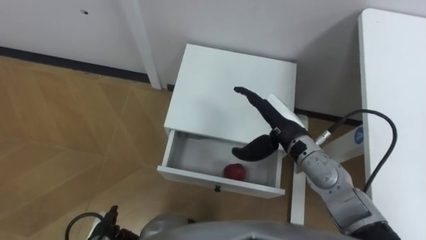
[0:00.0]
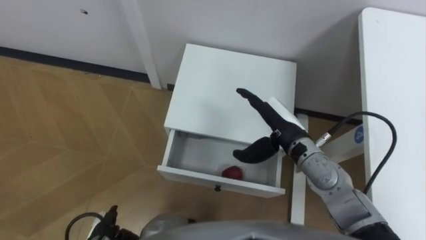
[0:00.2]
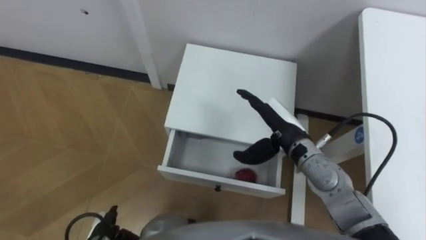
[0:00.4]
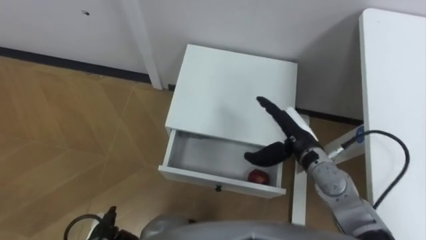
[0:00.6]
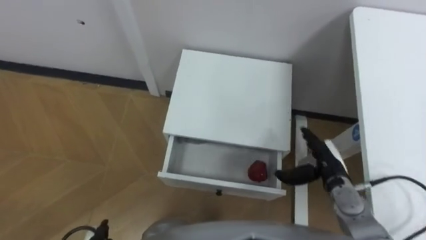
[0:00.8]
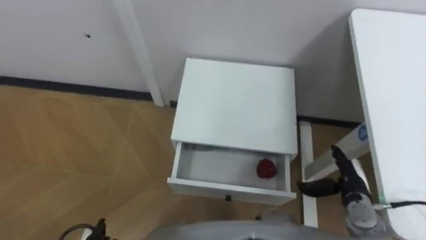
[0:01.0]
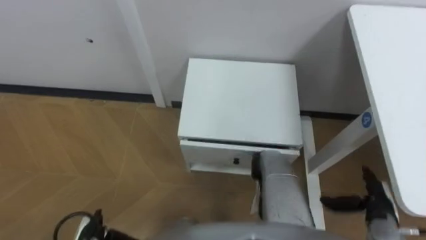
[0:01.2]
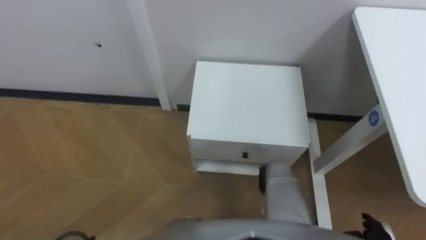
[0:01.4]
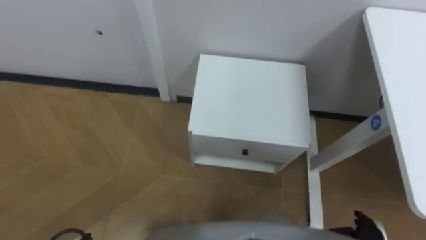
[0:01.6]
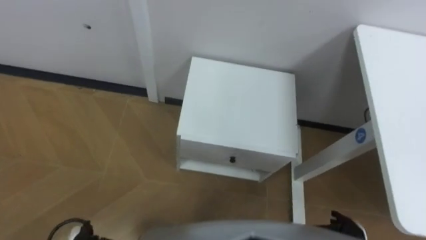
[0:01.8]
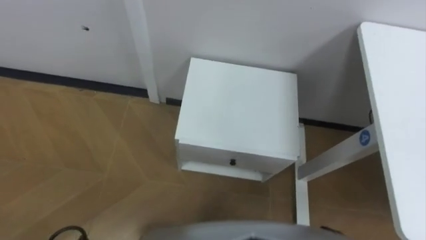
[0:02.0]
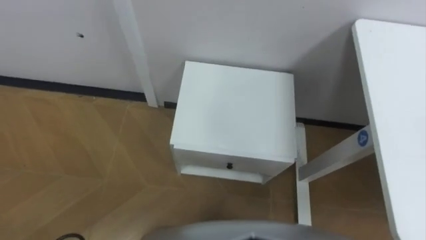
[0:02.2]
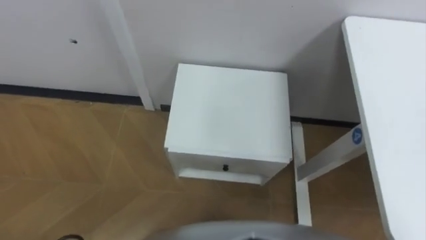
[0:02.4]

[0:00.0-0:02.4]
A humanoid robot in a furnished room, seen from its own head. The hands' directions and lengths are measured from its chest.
Task of the whole recording: Pick up the apple from the table, put it in the drawer, and close the drawer with leg.
0:00.0 to 0:01.2: The right hand goes about 25 cm to the right, backward and downward.
